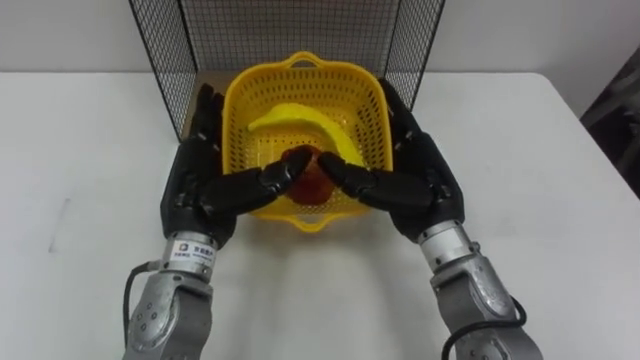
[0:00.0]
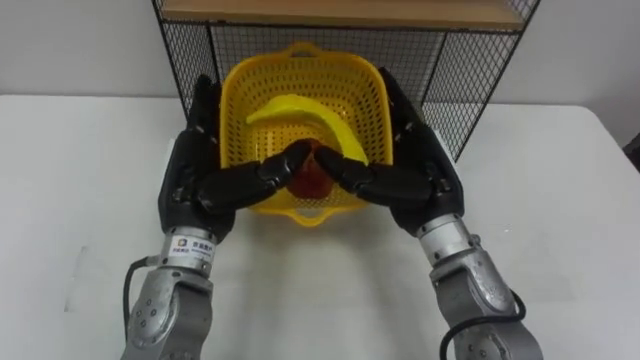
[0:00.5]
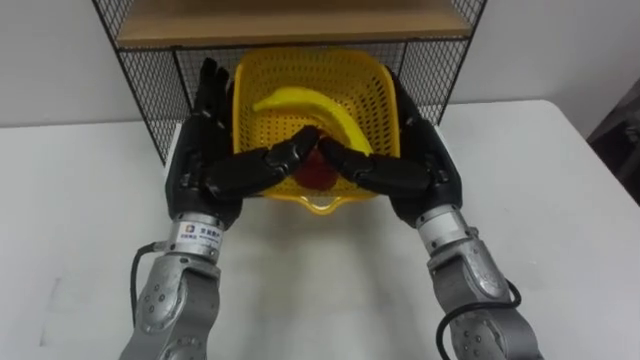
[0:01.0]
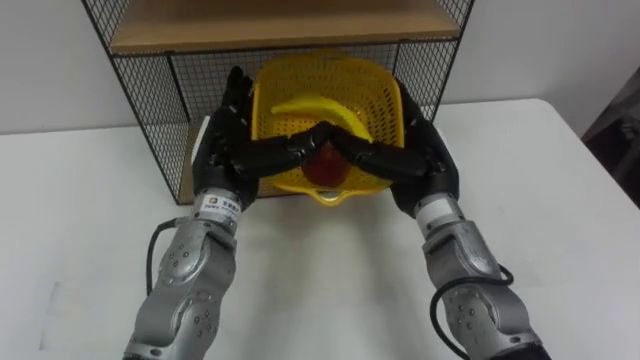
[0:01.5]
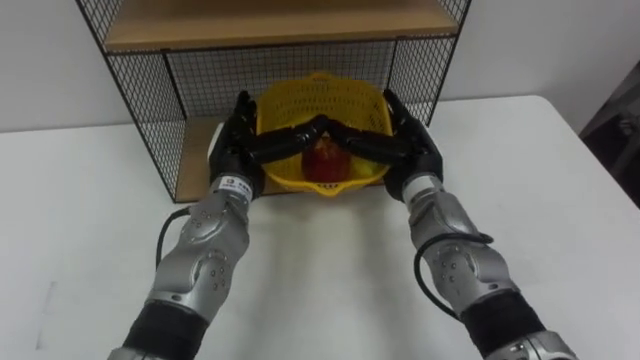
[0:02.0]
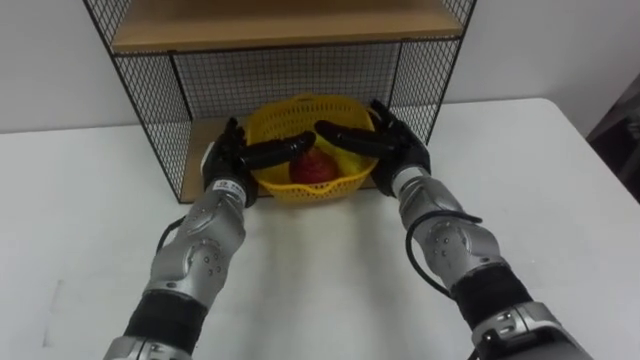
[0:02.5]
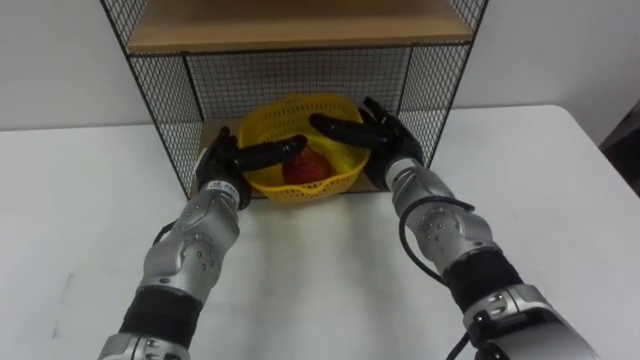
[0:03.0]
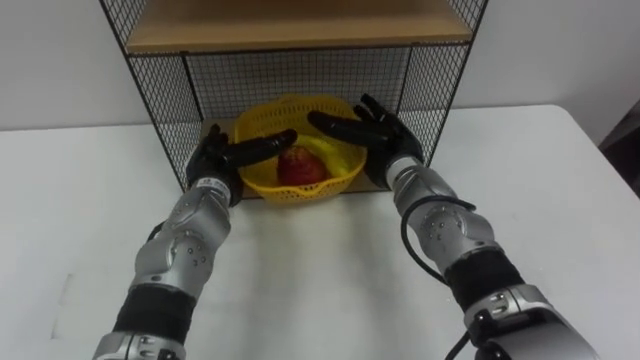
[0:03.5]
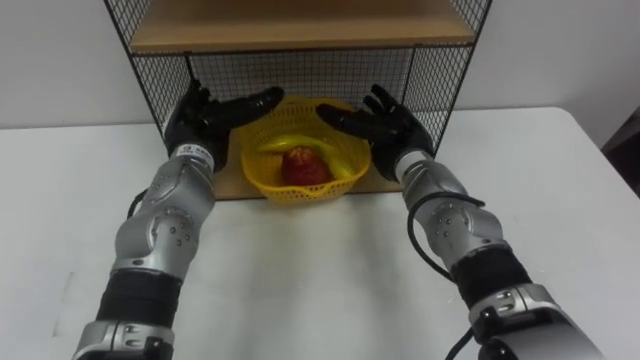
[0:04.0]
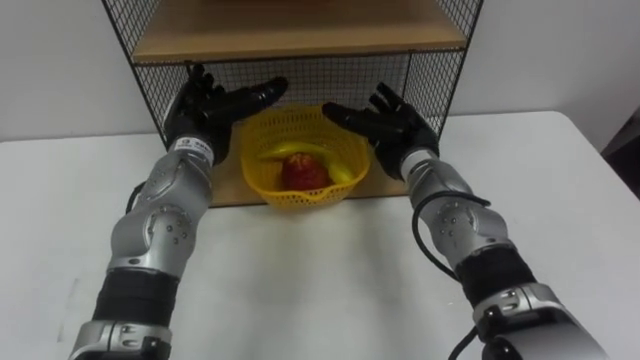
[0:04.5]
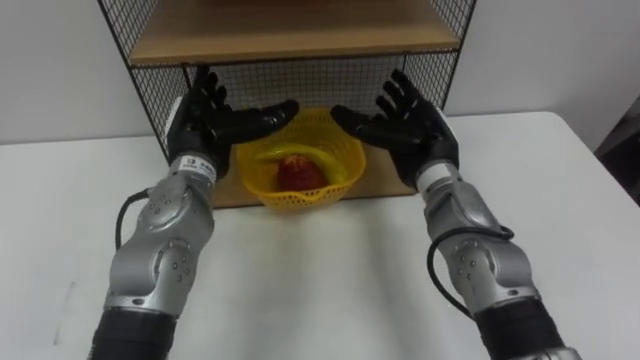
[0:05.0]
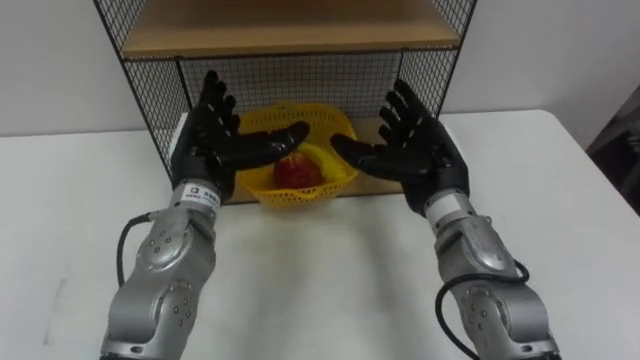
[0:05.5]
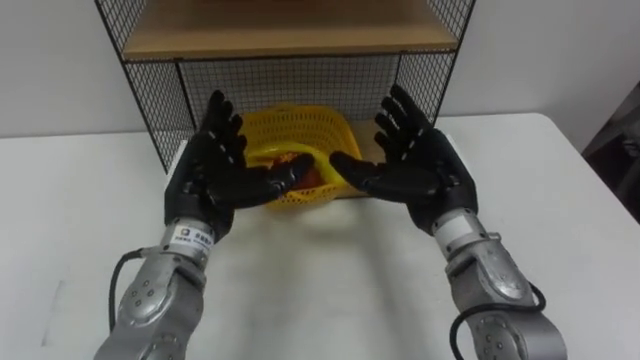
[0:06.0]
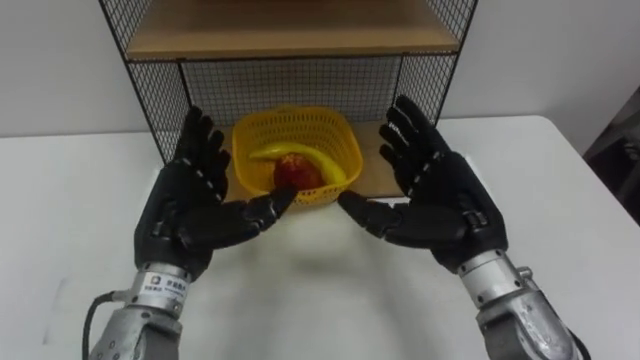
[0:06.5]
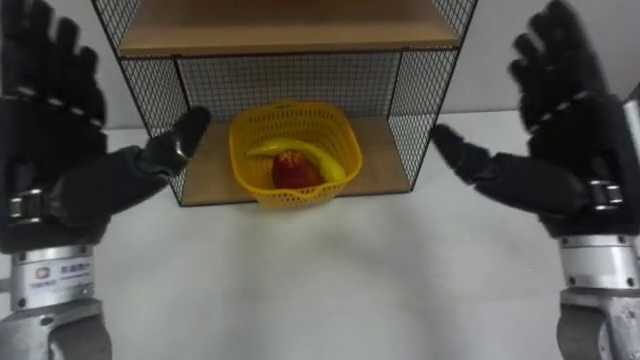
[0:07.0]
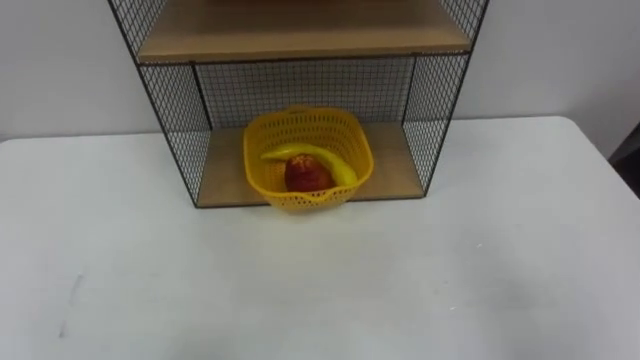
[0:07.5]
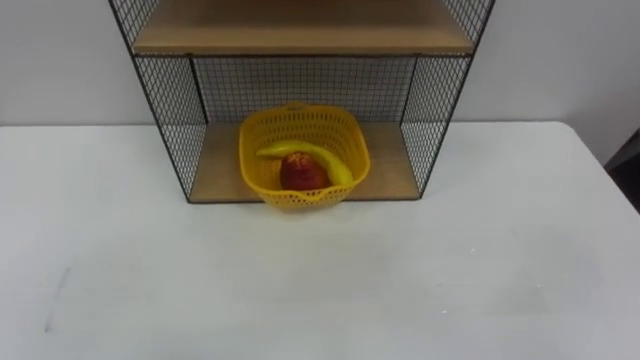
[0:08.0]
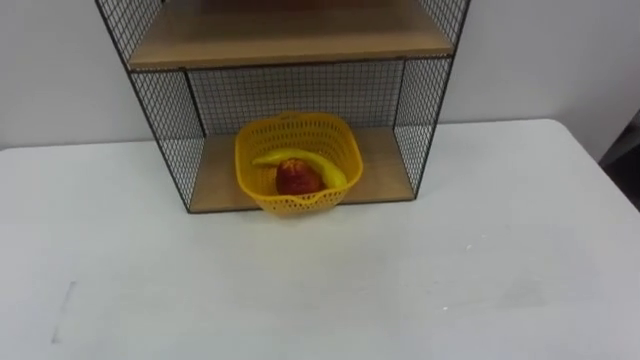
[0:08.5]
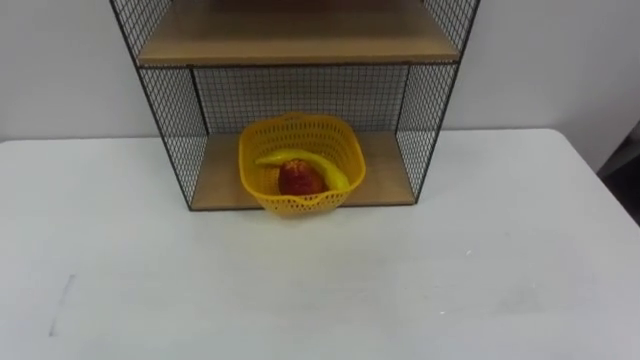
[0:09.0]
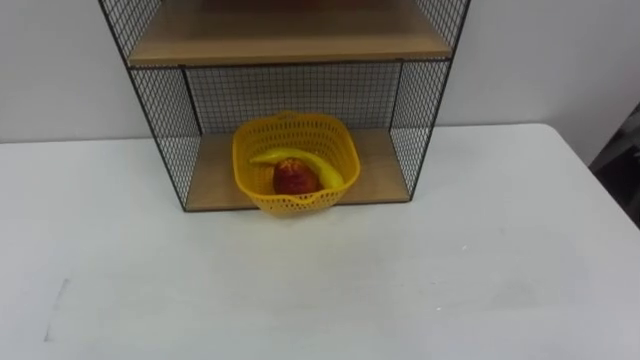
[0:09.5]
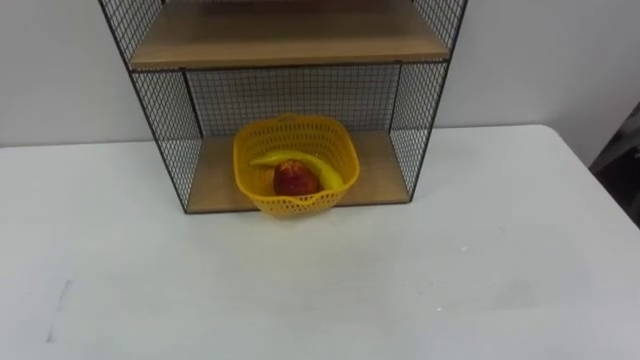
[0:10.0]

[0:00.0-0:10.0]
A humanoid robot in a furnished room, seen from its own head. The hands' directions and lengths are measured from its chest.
Task of the whole recording: Put the fruit on the table into the basket, then place the basket on the shelf.
0:00.0 to 0:02.0: Both hands move forward, some 10 cm.
0:02.0 to 0:04.0: The left hand goes some 5 cm to the left.
0:04.0 to 0:06.0: The two hands go some 10 cm backward.

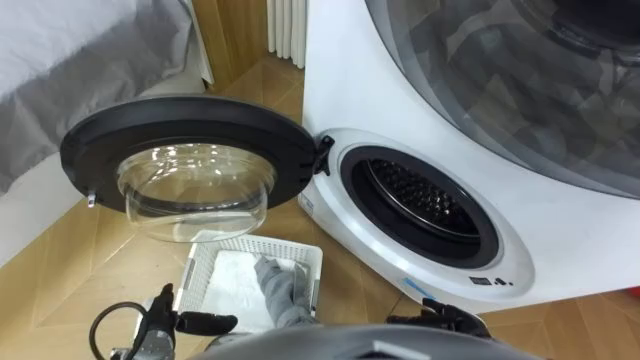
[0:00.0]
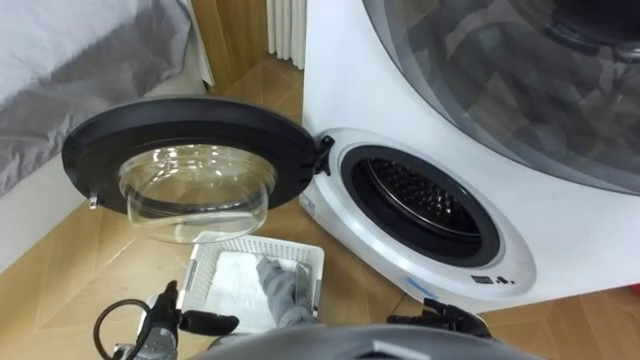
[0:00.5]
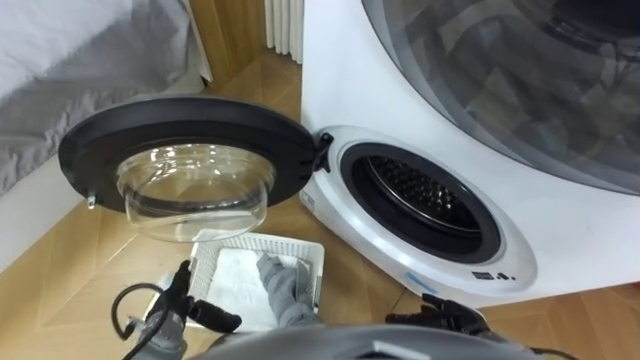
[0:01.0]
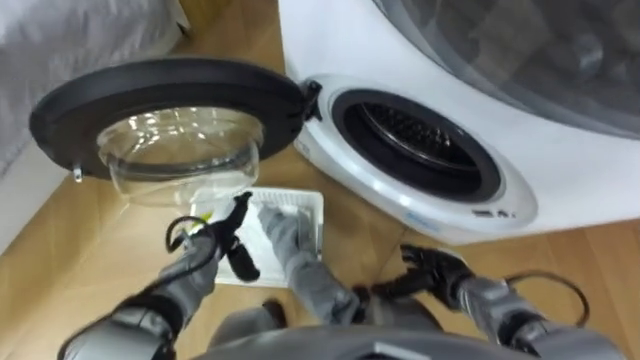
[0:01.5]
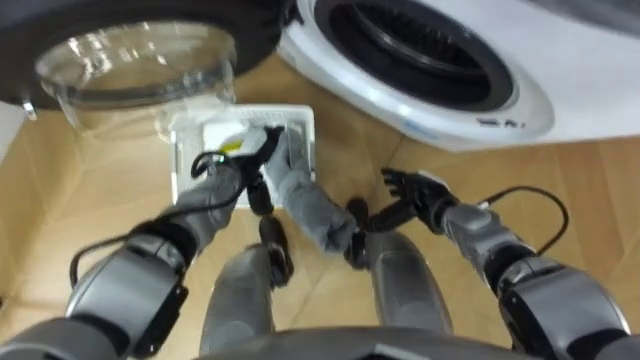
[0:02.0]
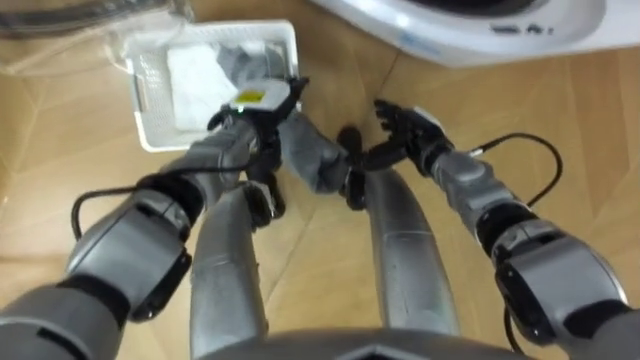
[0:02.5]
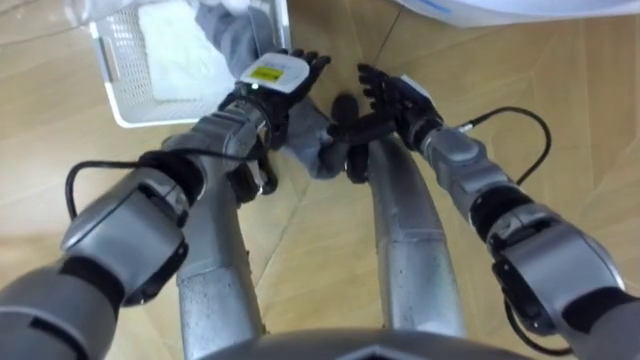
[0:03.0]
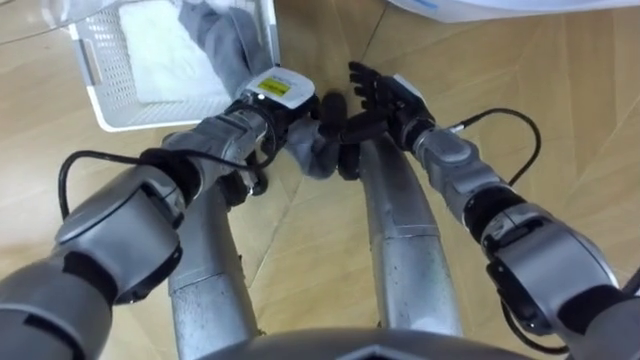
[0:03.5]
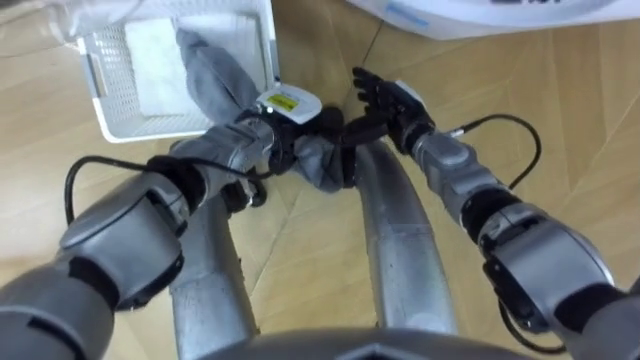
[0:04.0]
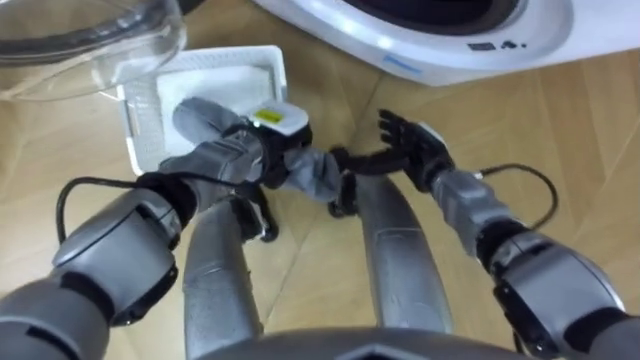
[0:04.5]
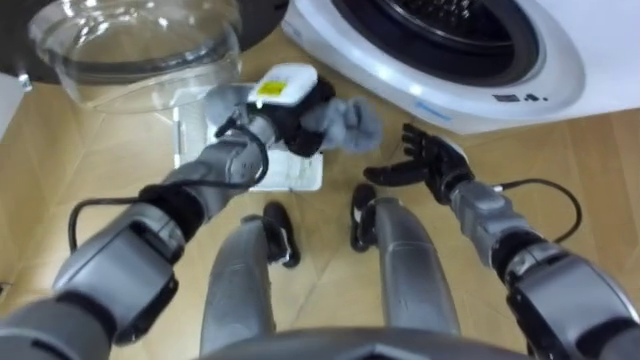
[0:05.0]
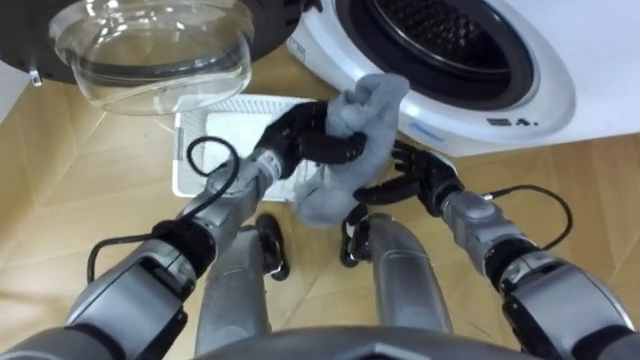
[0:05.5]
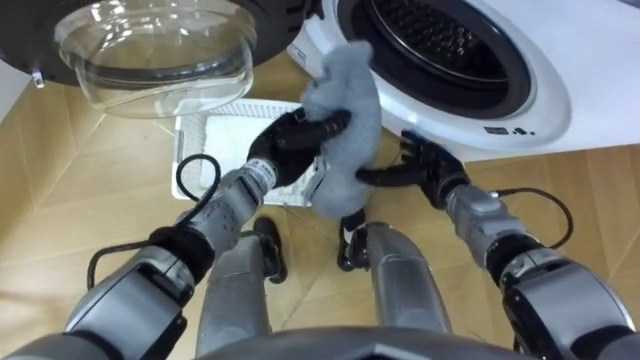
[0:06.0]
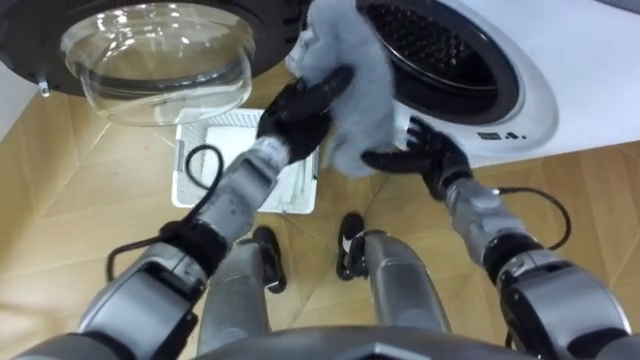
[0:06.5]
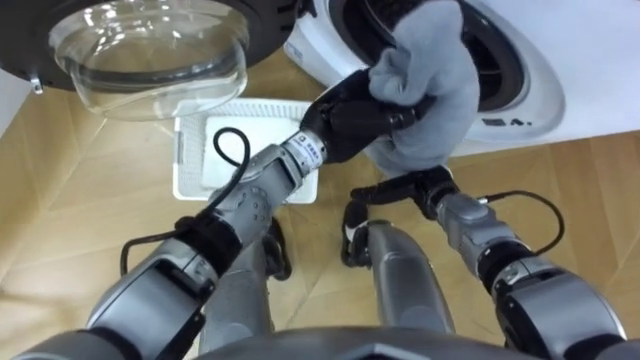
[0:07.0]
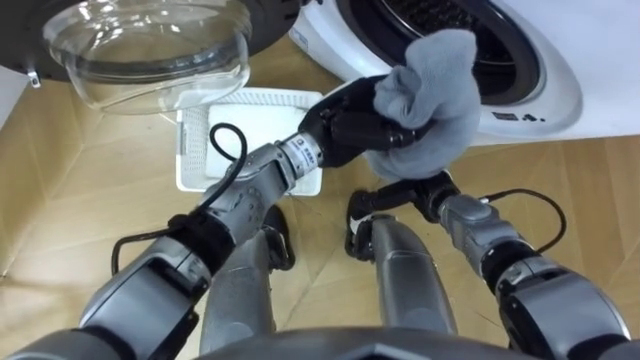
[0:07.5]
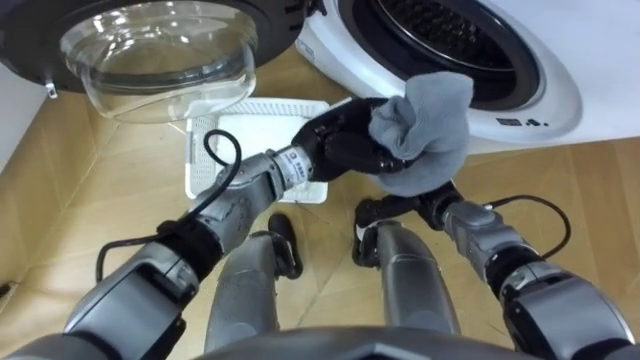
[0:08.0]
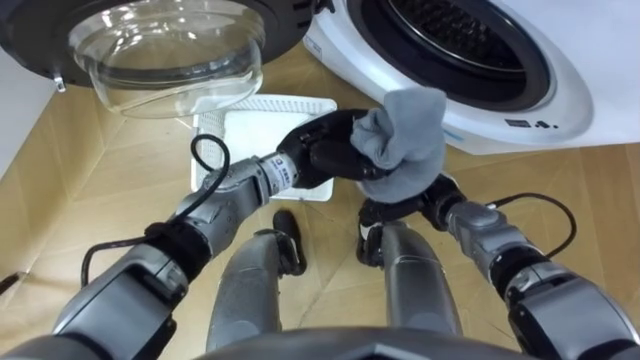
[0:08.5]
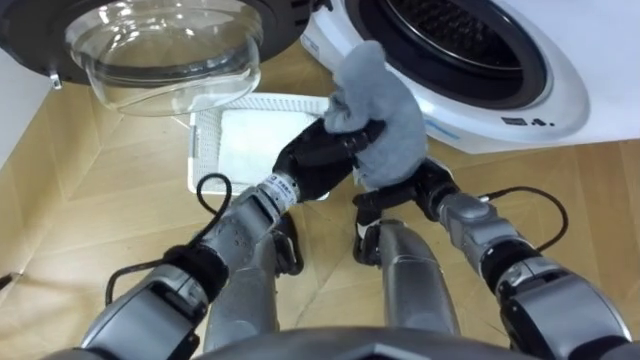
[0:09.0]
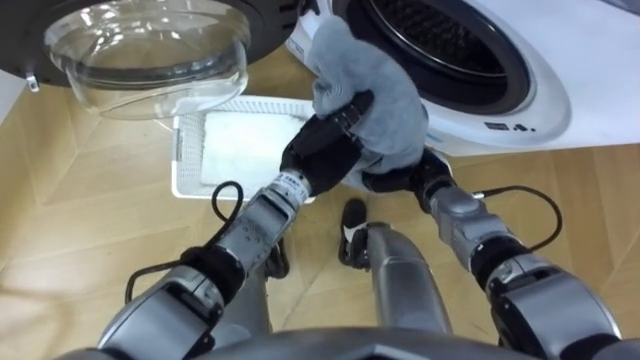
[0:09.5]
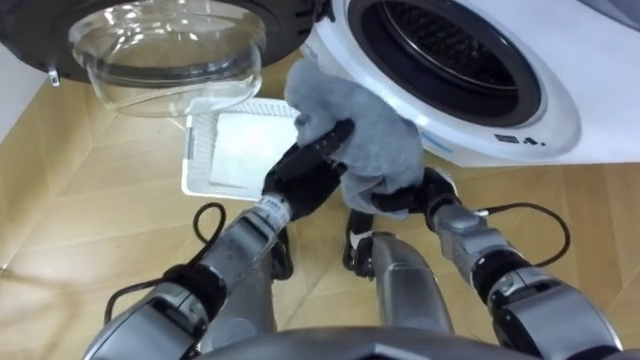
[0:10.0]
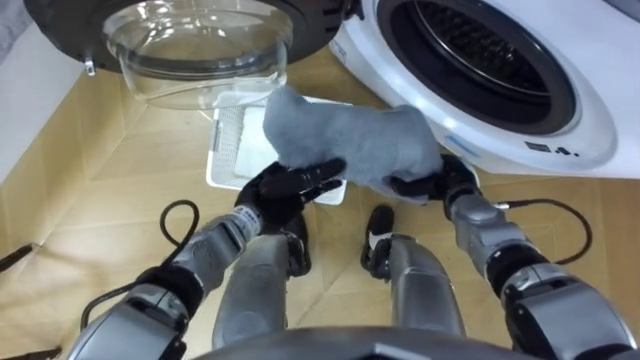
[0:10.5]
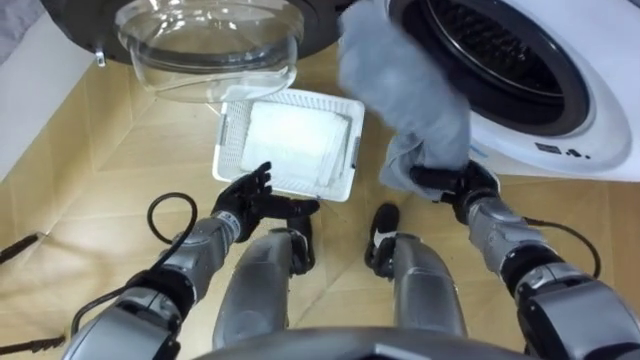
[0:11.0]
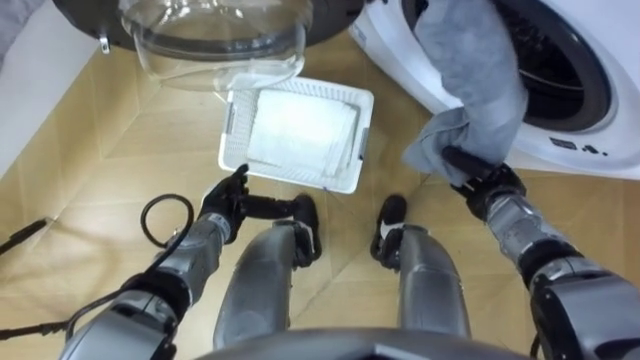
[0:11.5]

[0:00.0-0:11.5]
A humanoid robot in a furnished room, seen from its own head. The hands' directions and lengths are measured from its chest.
Task of the whole recording: Take the towel from the basket and put it into the washing machine.
0:02.0 to 0:04.0: The left hand heads to the right and upward, covering approximately 10 cm, and closes its fingers. Meanwhile the right hand travels forward, upward and to the left by some 15 cm.
0:04.0 to 0:06.0: The right hand goes some 10 cm downward, to the right and backward.
0:06.0 to 0:07.5: The left hand goes some 10 cm upward and to the right.
0:07.5 to 0:09.5: The left hand travels downward by about 5 cm; the right hand closes.
0:09.5 to 0:11.5: The right hand goes roughly 10 cm to the right; the left hand goes roughly 20 cm to the left and downward, and opens up.
